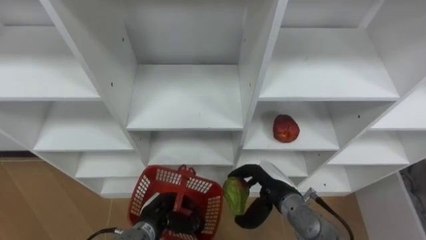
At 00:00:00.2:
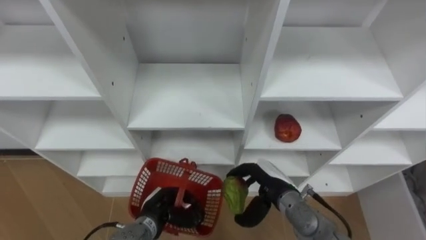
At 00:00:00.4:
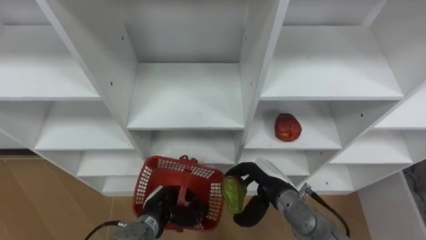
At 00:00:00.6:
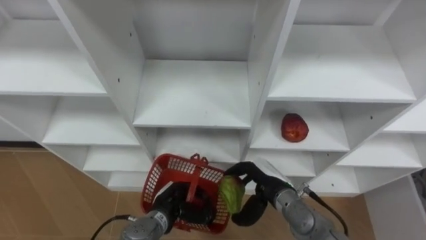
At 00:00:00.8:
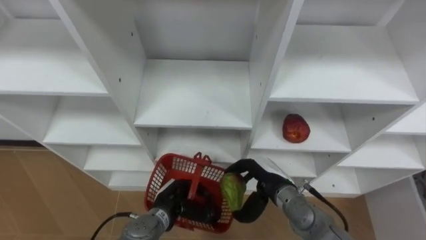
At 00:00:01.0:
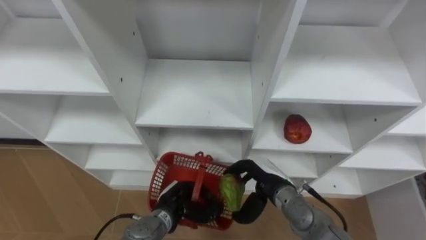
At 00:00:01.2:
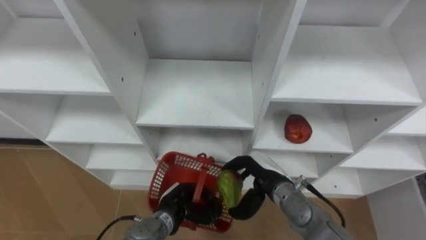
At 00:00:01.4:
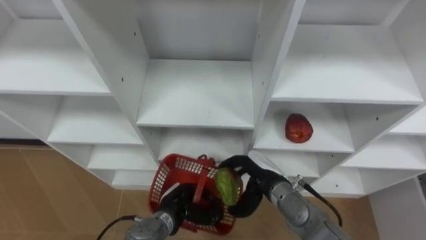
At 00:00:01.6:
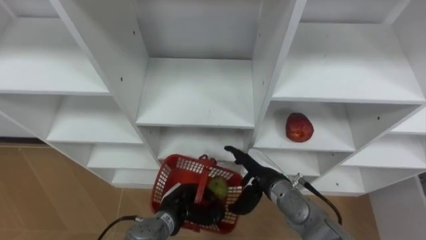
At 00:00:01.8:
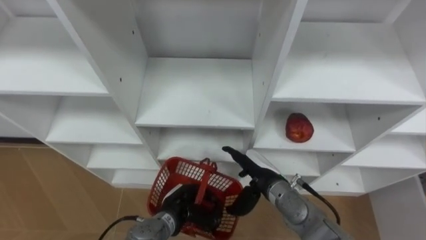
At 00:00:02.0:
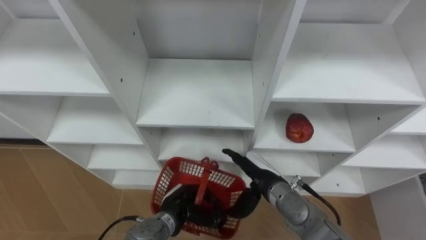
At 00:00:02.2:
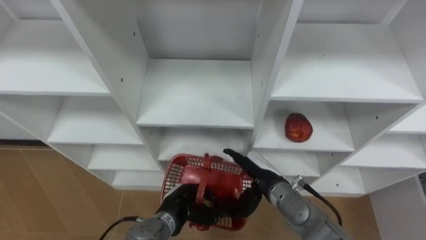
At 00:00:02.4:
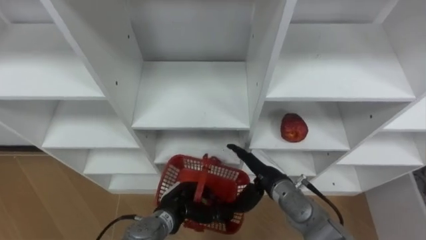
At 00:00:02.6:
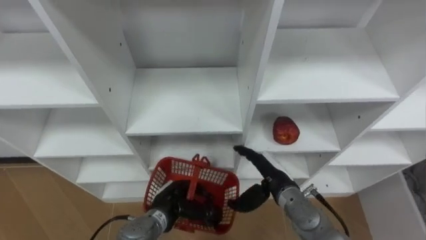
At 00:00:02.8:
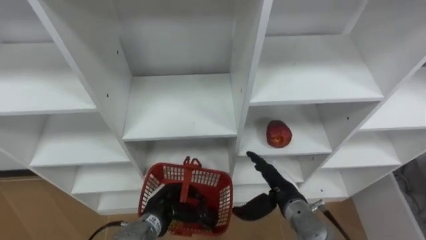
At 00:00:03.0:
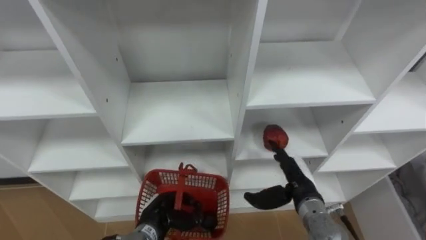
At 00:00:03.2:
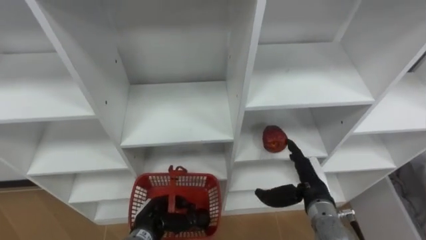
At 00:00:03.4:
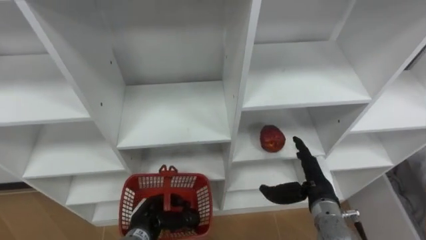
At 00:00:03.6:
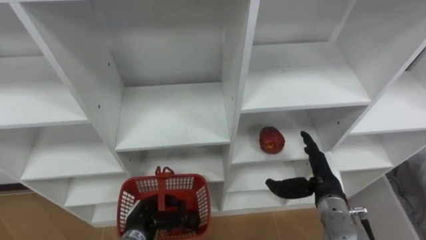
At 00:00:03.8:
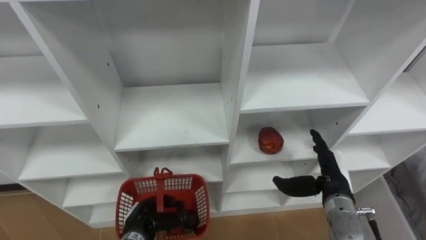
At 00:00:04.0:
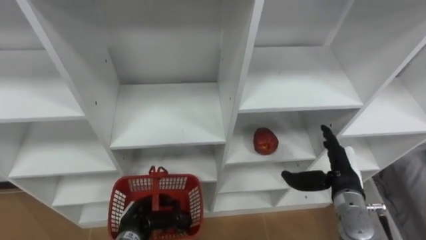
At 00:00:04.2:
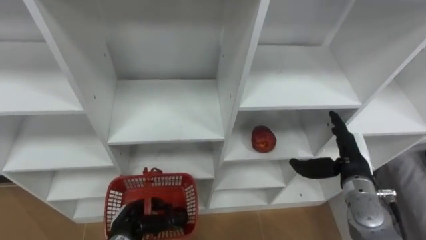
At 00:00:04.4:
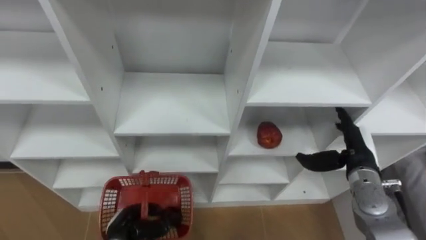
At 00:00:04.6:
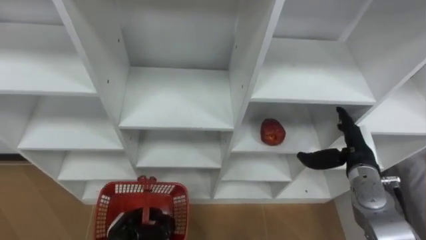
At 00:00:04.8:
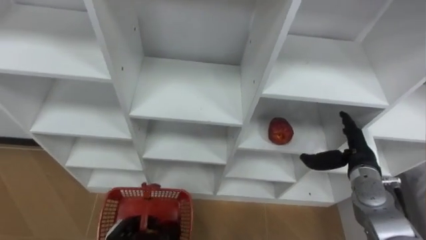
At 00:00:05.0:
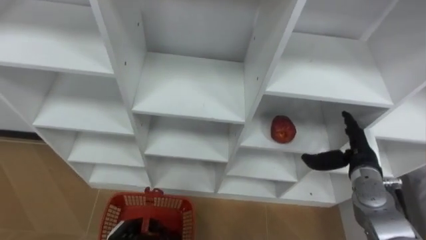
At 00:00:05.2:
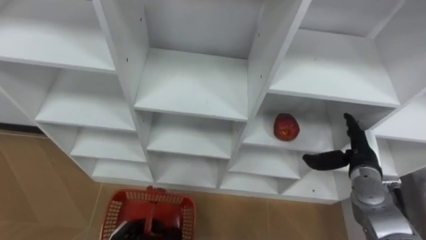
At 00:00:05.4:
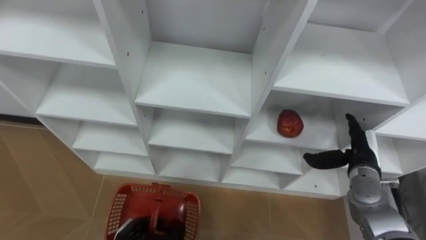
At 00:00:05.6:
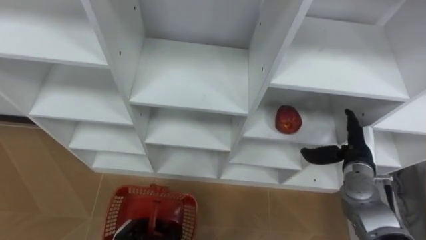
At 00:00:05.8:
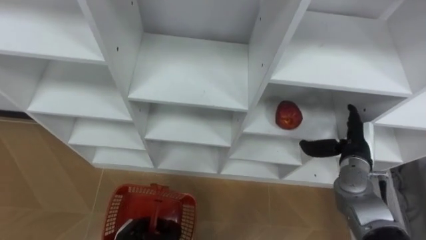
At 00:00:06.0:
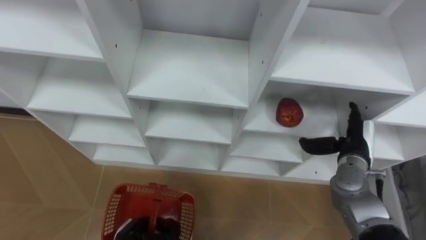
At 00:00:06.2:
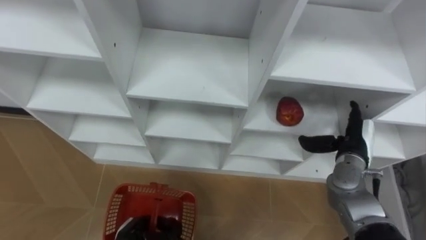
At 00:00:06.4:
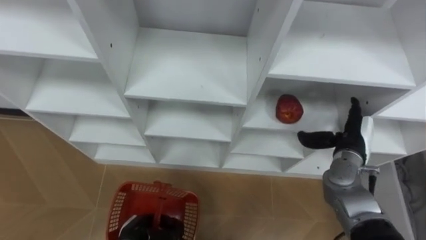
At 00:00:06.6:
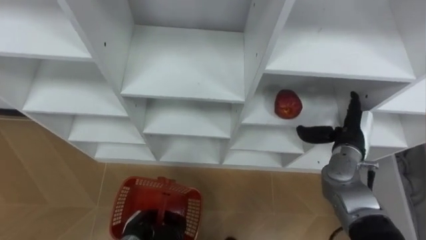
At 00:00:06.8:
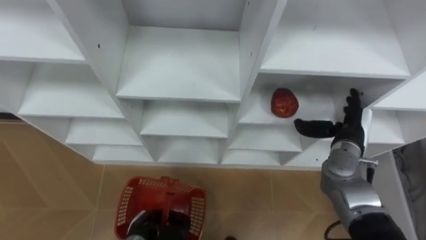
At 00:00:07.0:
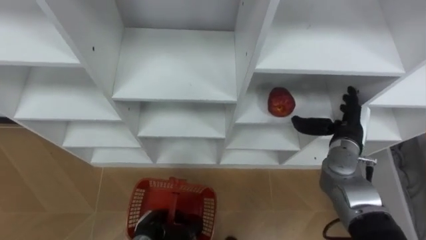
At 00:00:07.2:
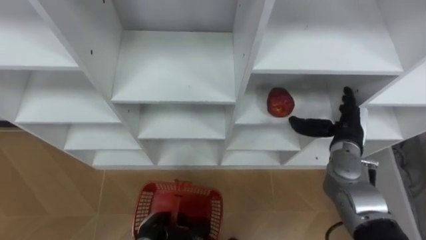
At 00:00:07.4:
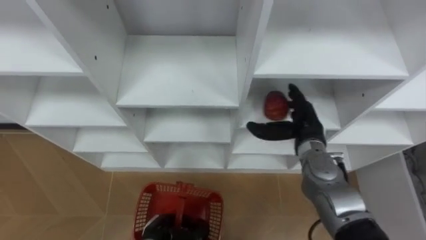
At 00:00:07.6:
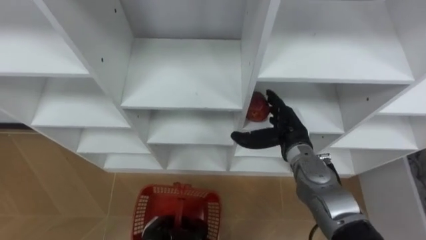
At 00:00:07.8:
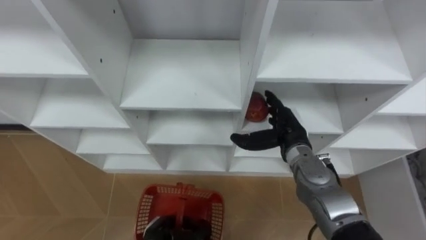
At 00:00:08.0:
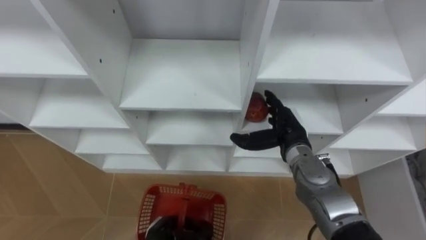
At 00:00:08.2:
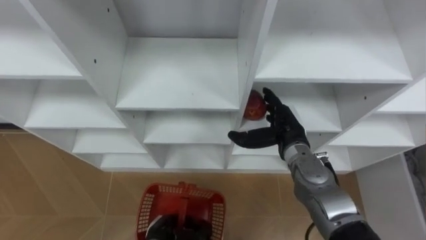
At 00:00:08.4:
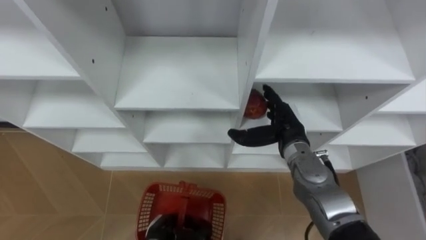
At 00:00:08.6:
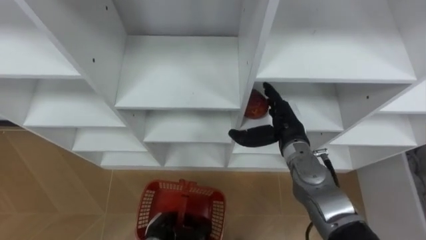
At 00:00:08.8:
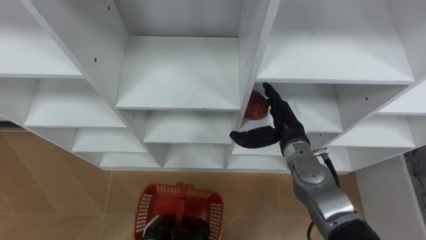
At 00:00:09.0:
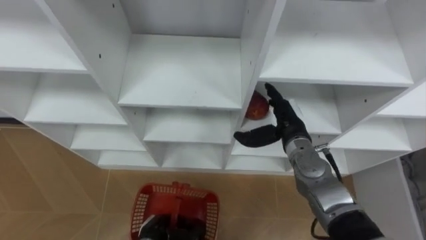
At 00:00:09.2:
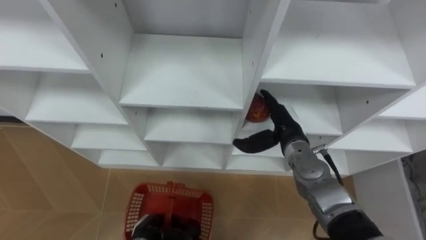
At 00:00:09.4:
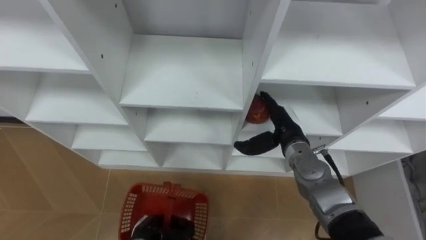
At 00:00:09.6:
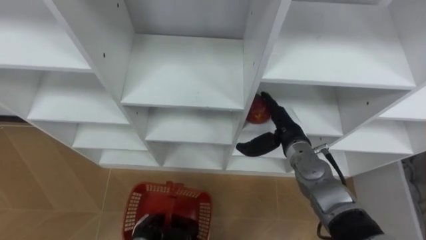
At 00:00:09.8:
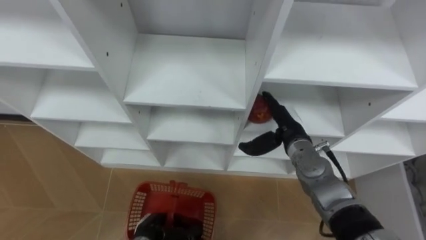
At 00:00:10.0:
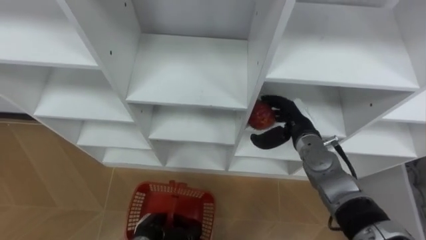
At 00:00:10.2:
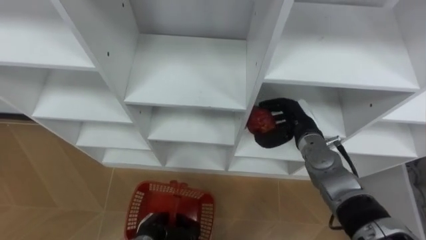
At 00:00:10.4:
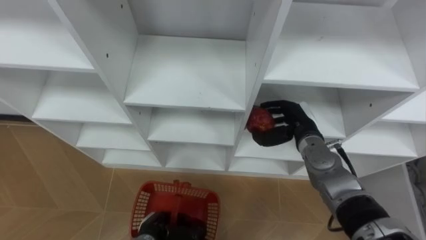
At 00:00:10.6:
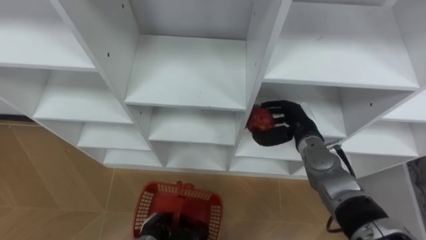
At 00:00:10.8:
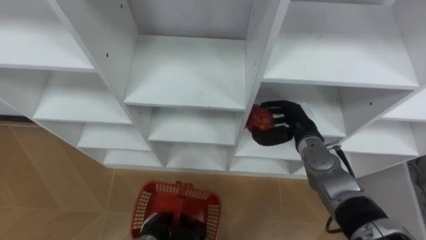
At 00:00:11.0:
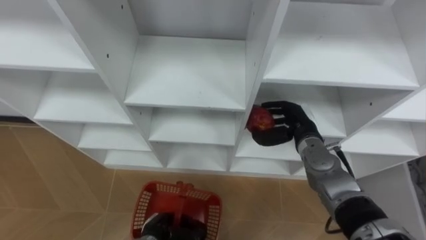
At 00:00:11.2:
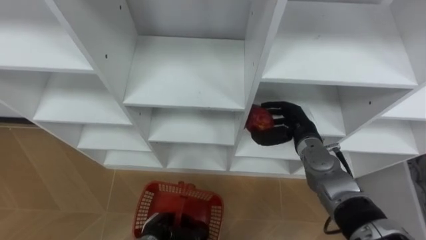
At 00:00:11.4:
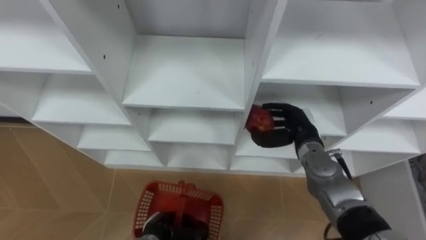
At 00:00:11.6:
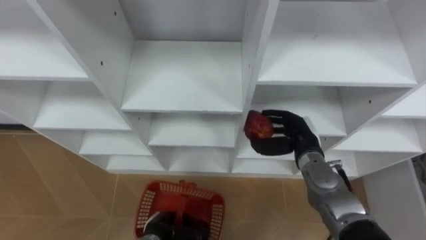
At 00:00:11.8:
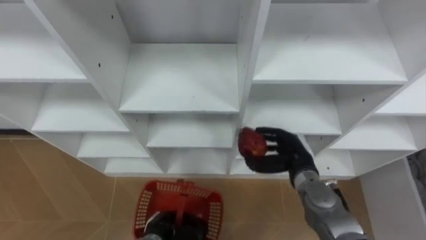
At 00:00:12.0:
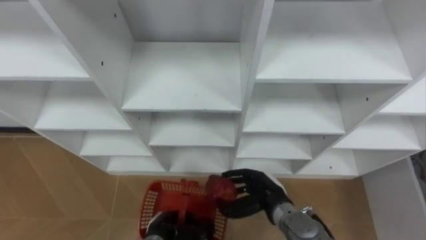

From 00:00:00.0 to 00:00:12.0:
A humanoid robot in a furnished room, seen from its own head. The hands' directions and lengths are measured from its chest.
Task of the whole recording: Hold the basket and collect the fruits from 3 different cells of the closet into it.
From 00:00:00.0 to 00:00:01.6: The left hand shifts by about 5 cm; the right hand opens its fingers.
From 00:00:01.6 to 00:00:03.0: The right hand goes roughly 5 cm to the right.
From 00:00:03.0 to 00:00:04.4: The right hand travels to the right by about 10 cm. Meanwhile the left hand travels to the left by about 5 cm.
From 00:00:06.0 to 00:00:07.6: The left hand heads to the right, covering some 5 cm; the right hand heads to the left, covering roughly 15 cm.
From 00:00:09.0 to 00:00:10.4: The right hand closes up.
From 00:00:10.4 to 00:00:12.0: The right hand moves backward, downward and to the left, approximately 15 cm.

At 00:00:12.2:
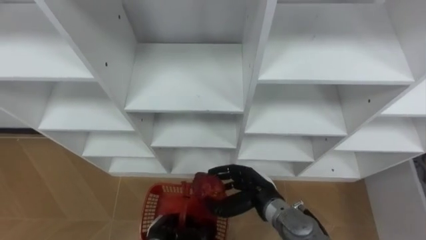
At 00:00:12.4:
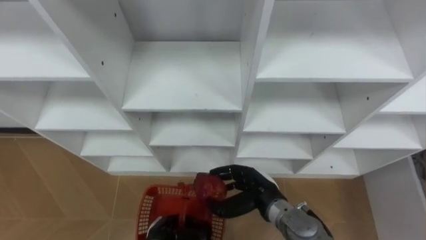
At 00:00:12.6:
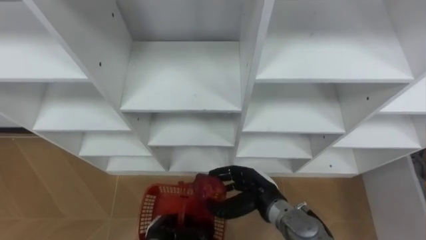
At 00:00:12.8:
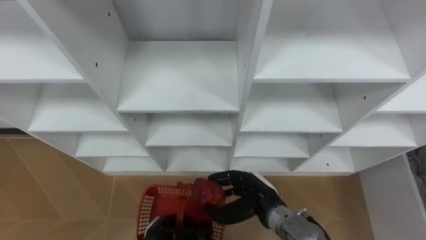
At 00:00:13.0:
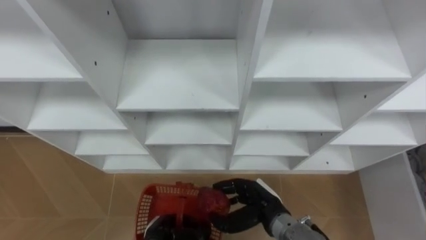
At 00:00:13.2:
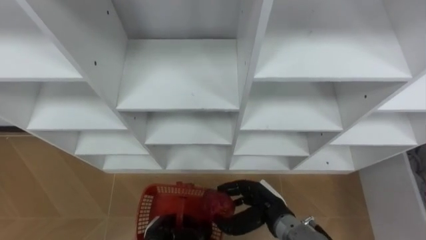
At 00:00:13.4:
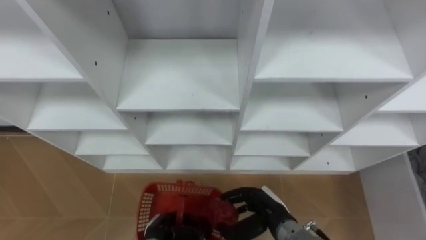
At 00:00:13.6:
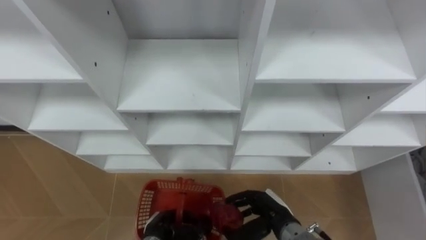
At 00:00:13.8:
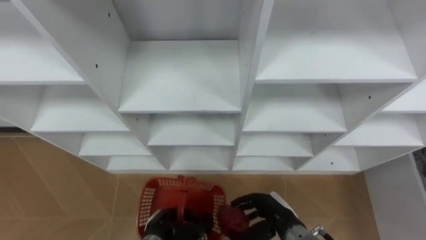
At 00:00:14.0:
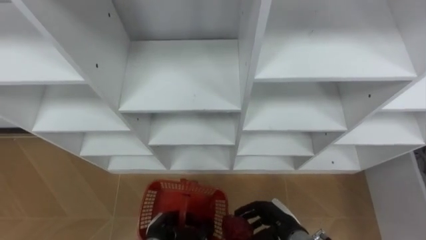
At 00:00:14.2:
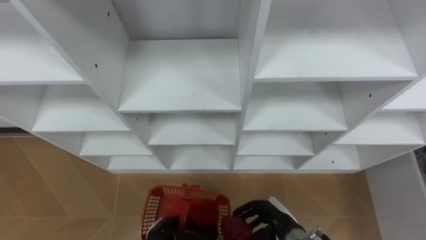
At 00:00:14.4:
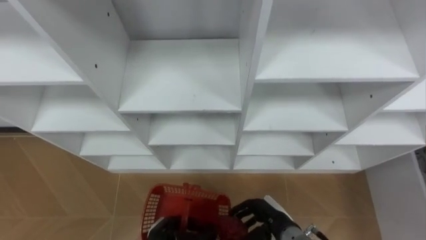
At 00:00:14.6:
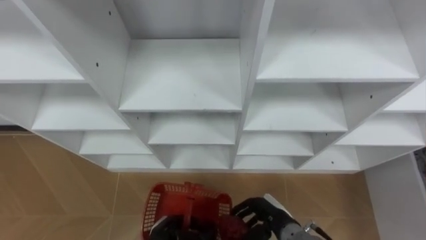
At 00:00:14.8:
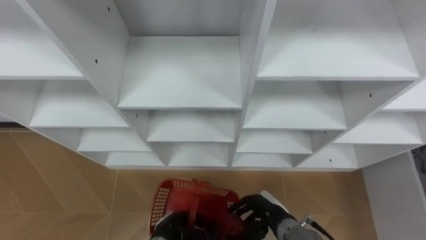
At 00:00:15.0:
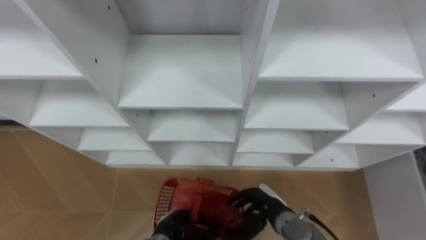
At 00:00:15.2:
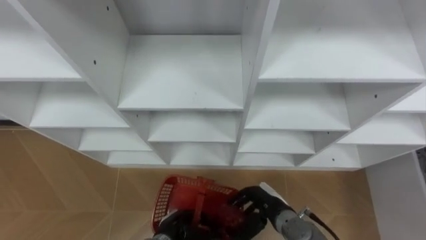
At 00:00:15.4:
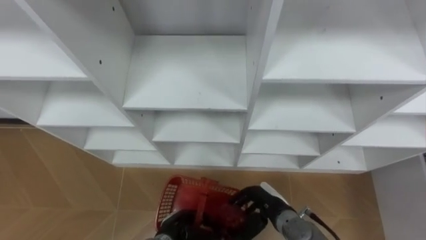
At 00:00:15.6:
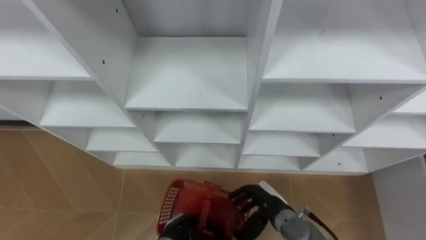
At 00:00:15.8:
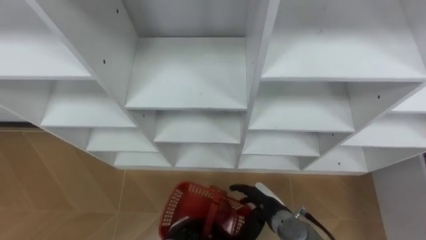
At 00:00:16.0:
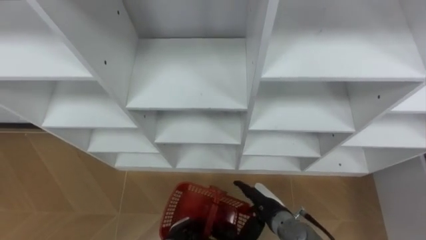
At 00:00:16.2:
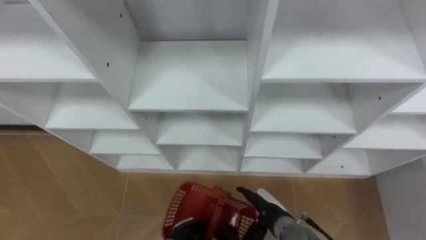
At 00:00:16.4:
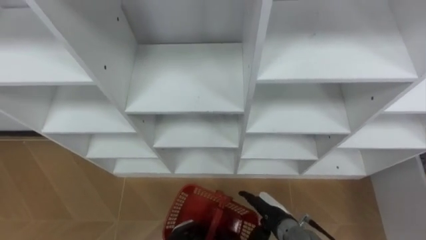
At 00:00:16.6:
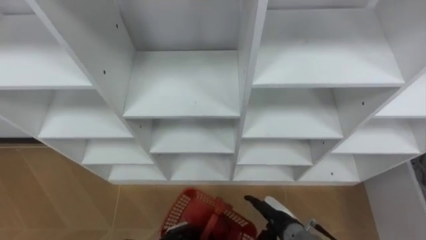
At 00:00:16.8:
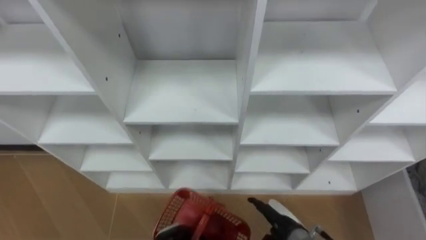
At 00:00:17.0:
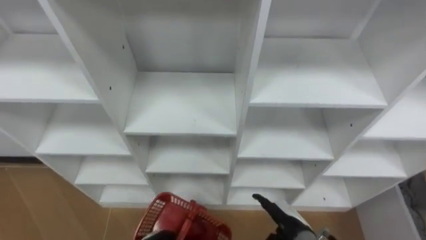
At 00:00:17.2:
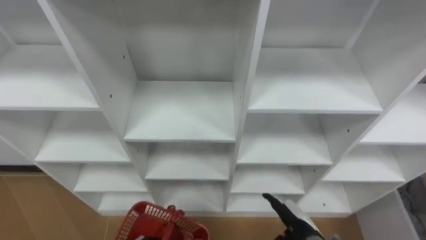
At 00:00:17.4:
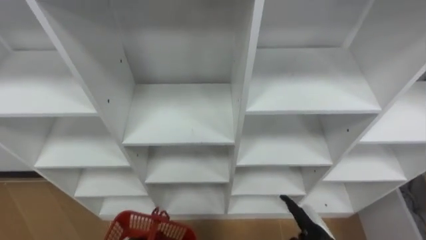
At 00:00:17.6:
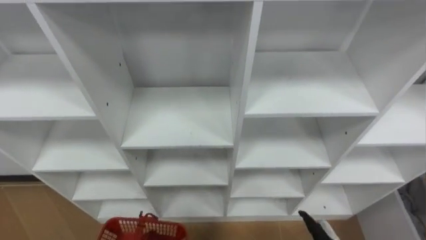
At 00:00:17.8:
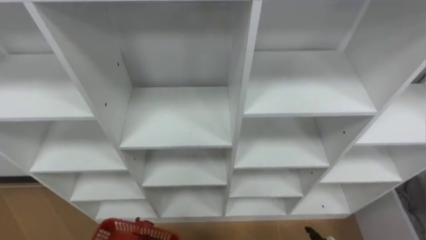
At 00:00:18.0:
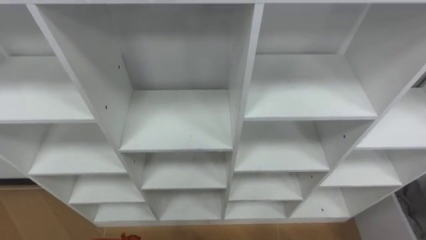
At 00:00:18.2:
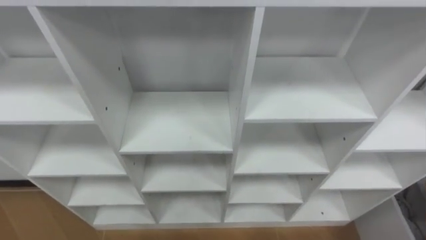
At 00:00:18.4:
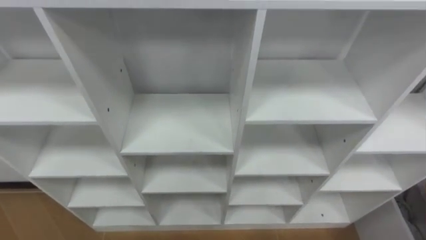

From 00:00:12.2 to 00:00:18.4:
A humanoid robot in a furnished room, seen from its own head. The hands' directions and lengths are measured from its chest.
Task of the whole recording: Hold the basket and collect the fruits from 3 different cells of the closet into it.
From 00:00:12.2 to 00:00:13.8: The right hand moves about 5 cm.
From 00:00:13.8 to 00:00:15.4: The hands stay close to where they were, moving slightly.
From 00:00:15.4 to 00:00:16.8: The right hand opens its fingers.
